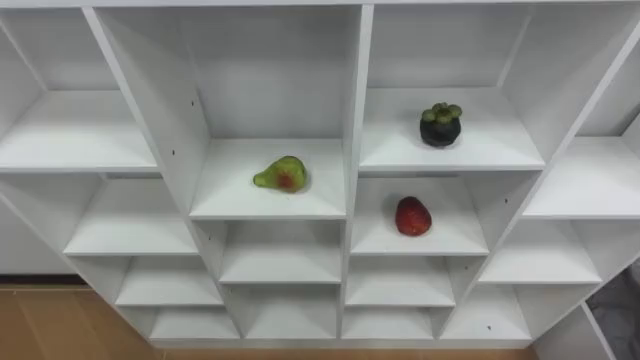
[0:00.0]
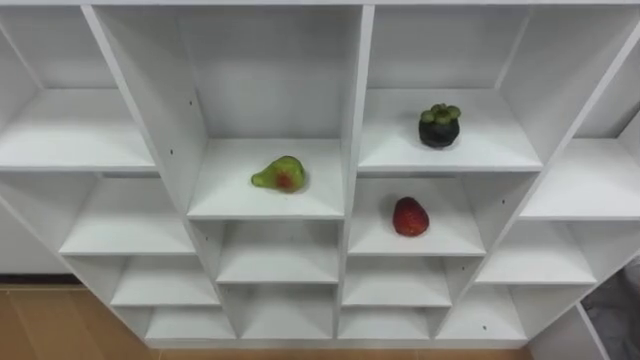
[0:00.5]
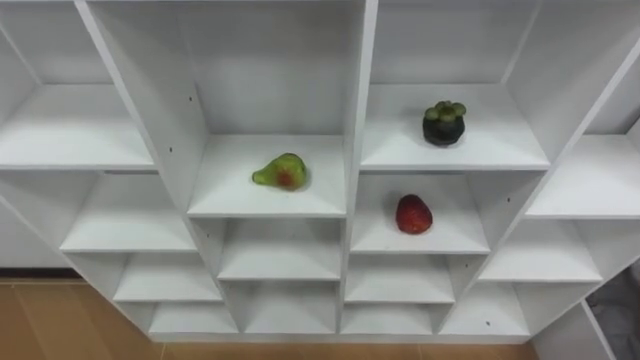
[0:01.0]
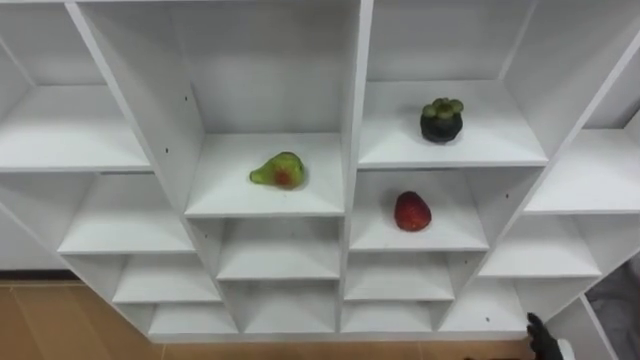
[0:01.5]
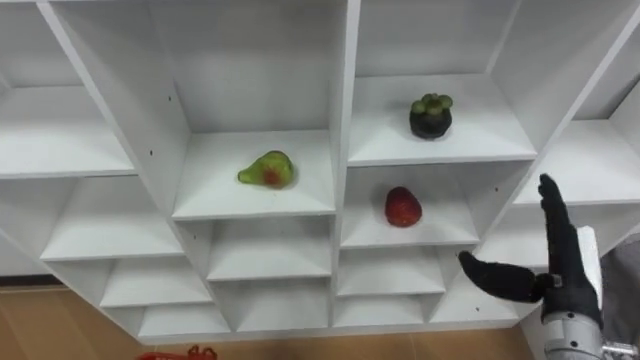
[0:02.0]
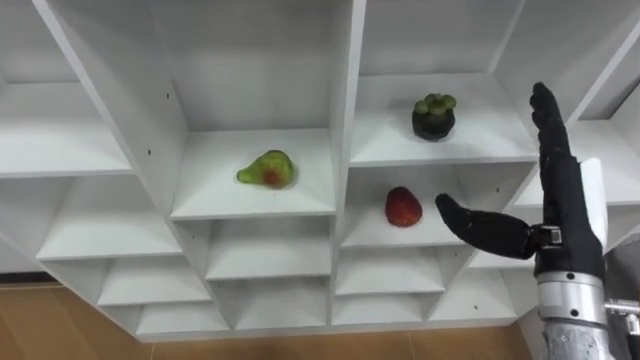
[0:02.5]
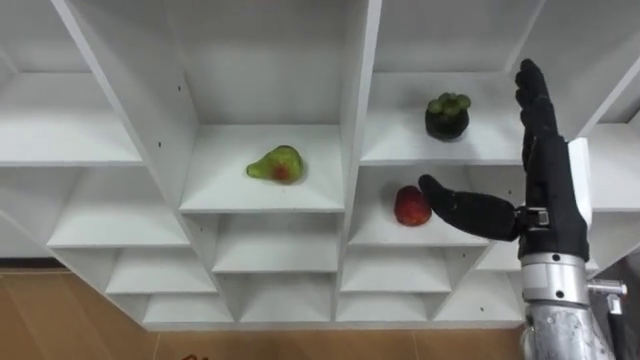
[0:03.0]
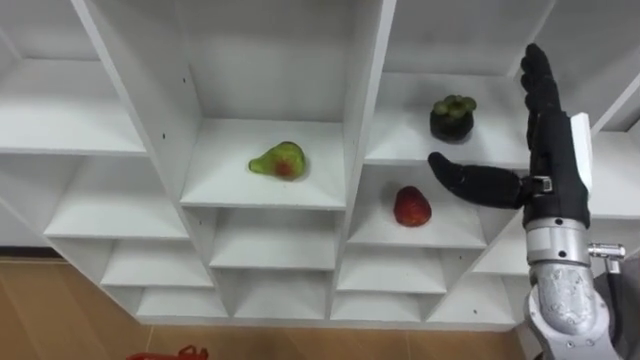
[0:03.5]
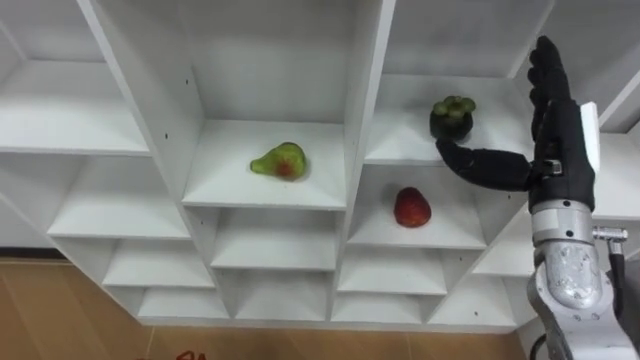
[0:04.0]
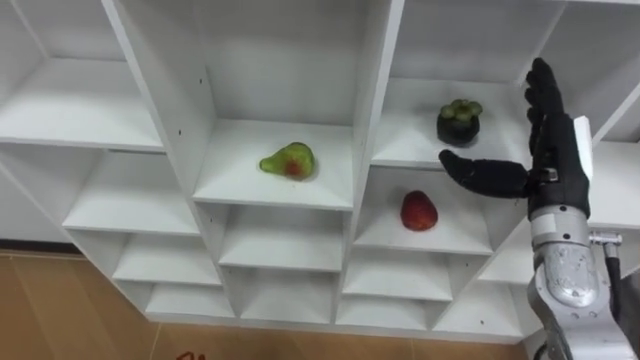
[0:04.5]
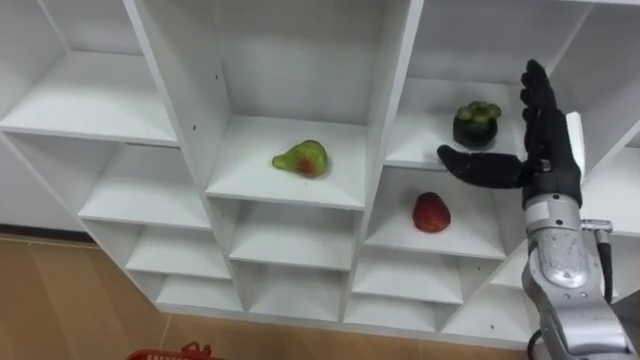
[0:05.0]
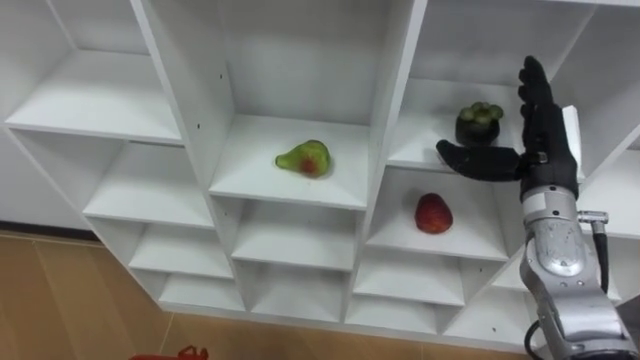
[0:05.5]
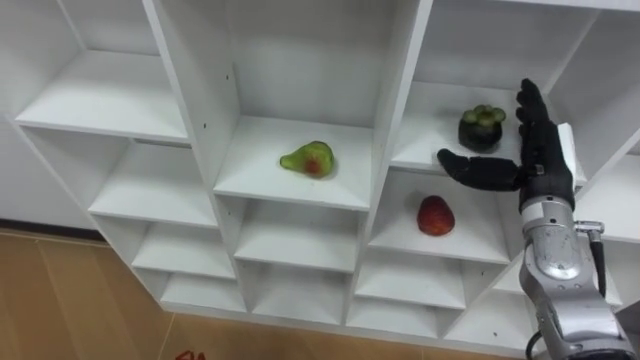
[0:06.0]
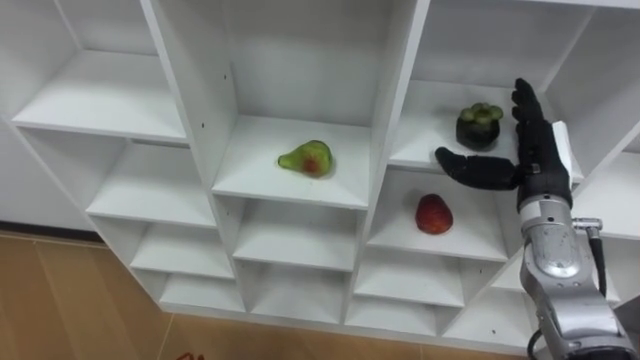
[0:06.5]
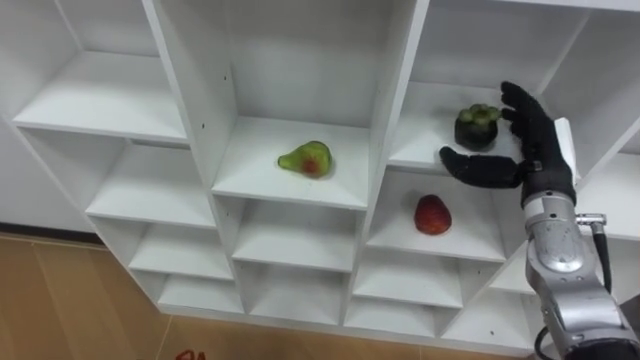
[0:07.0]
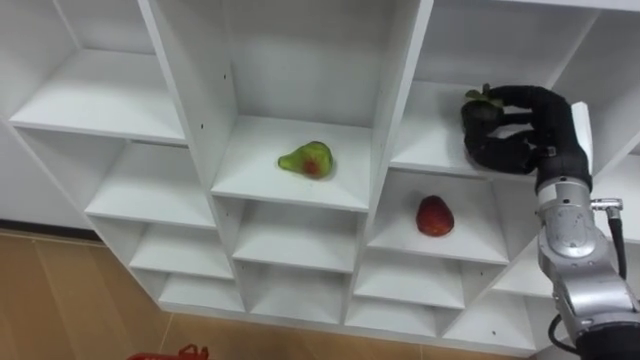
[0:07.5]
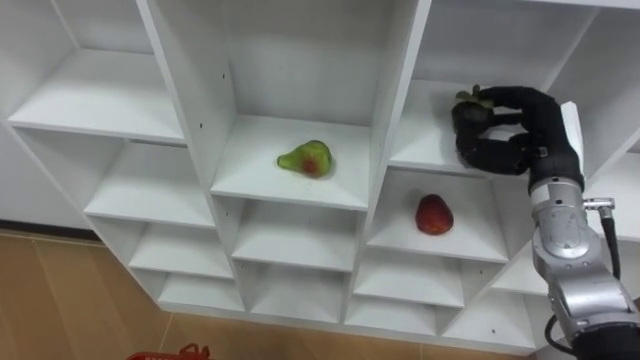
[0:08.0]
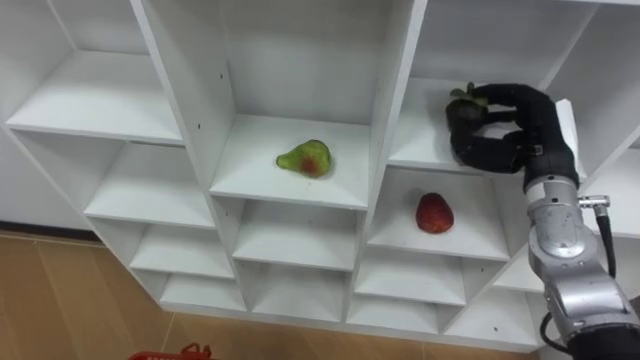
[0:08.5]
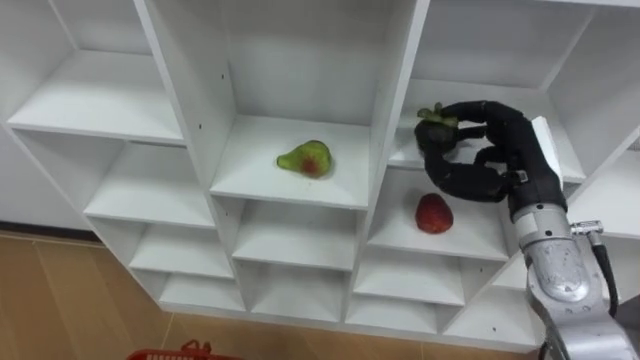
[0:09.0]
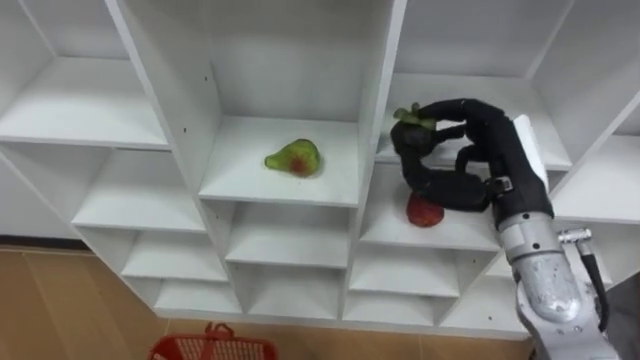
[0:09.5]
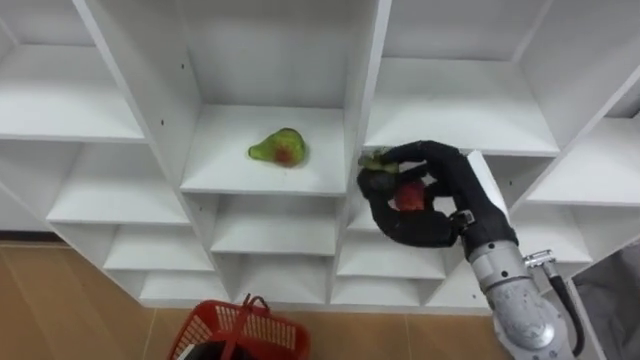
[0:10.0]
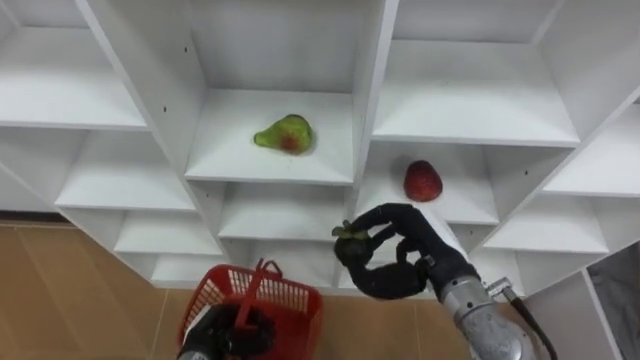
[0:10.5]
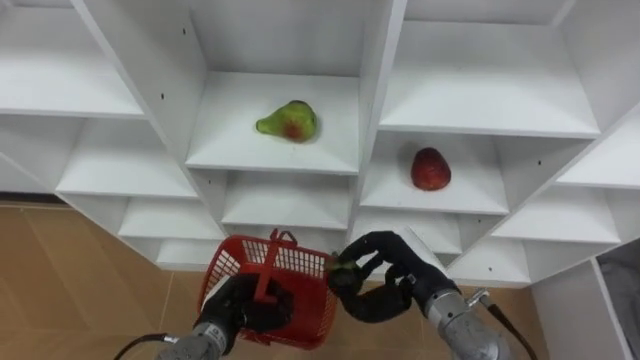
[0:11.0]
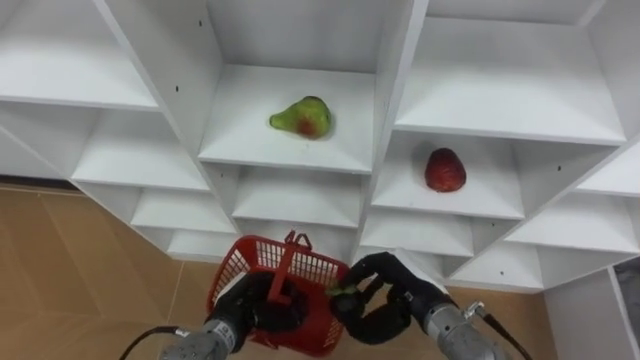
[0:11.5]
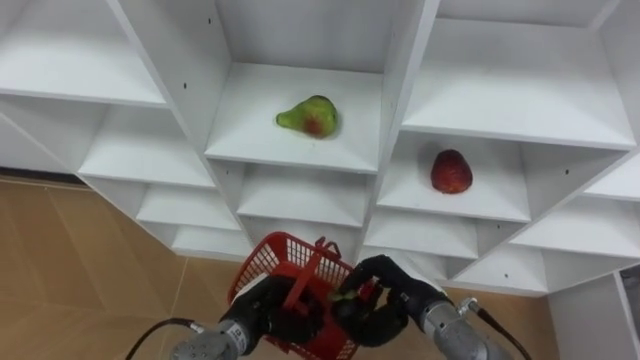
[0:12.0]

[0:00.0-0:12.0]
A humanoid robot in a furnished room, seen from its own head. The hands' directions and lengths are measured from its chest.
Task of the whole recording: Hold the basket and collect the fruits from 3 different cells of the closet into it.
0:02.0 to 0:04.0: The right hand shifts roughly 15 cm upward and forward.
0:04.0 to 0:06.0: The right hand is displaced downward by roughly 5 cm.
0:06.0 to 0:08.0: The right hand closes its fingers.
0:08.0 to 0:10.0: The right hand is displaced to the left and backward by approximately 10 cm.
0:10.0 to 0:12.0: The right hand moves downward, approximately 15 cm.

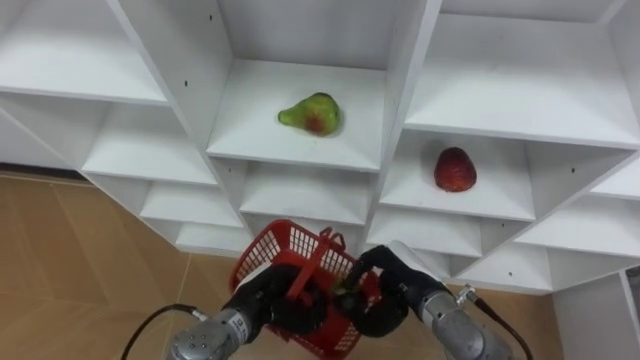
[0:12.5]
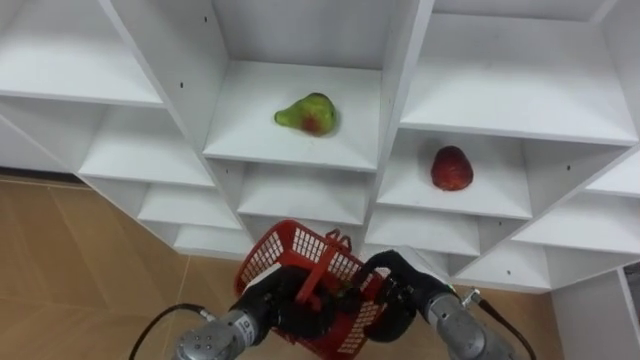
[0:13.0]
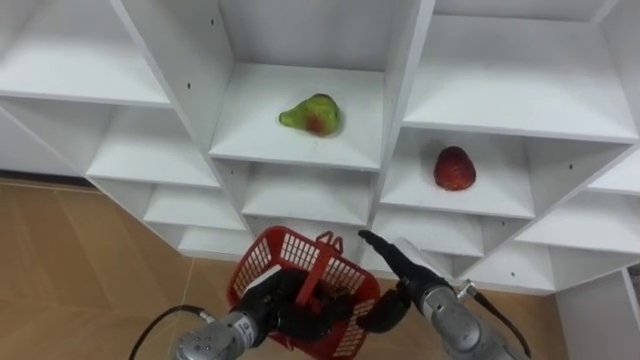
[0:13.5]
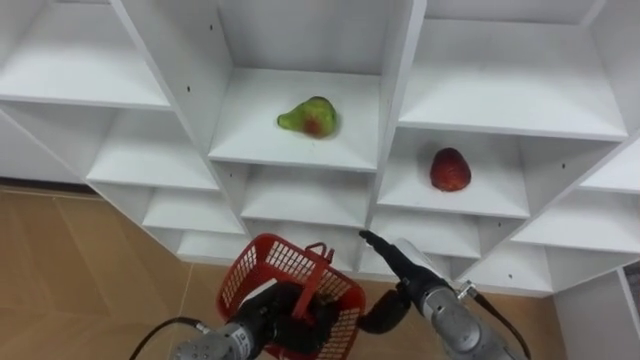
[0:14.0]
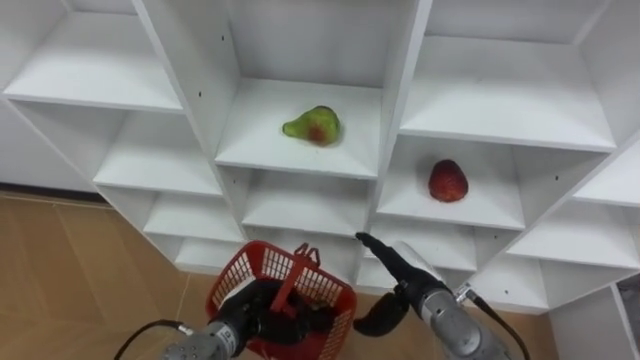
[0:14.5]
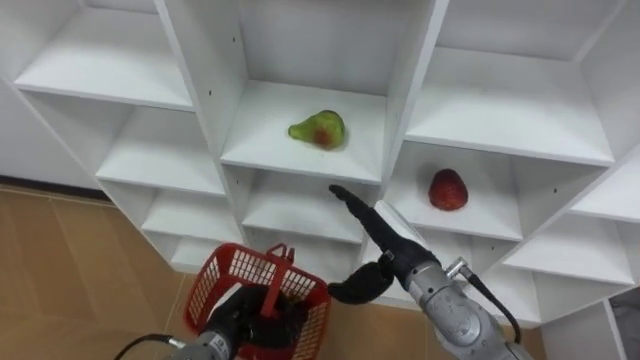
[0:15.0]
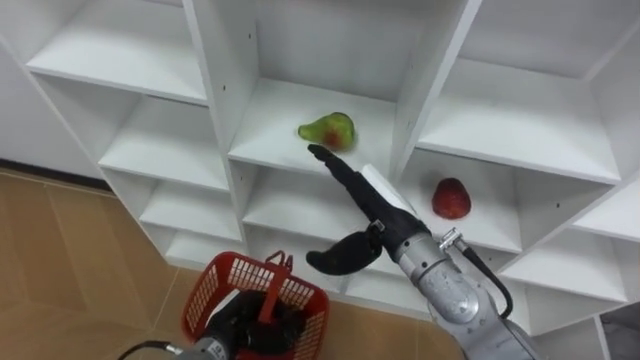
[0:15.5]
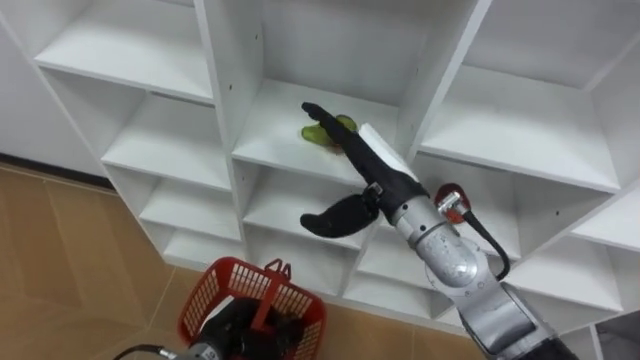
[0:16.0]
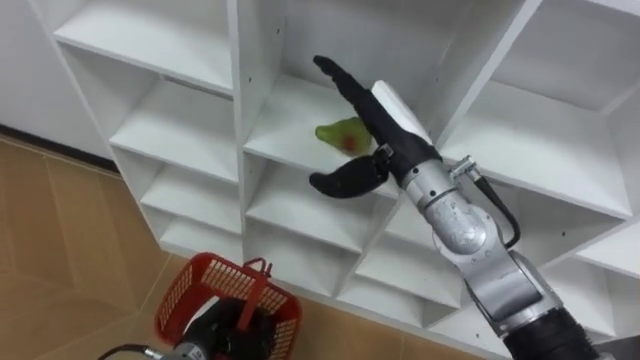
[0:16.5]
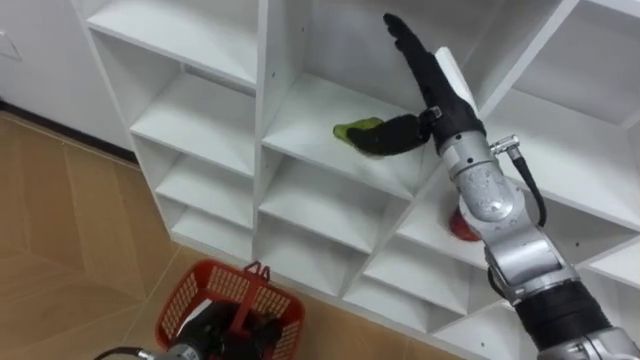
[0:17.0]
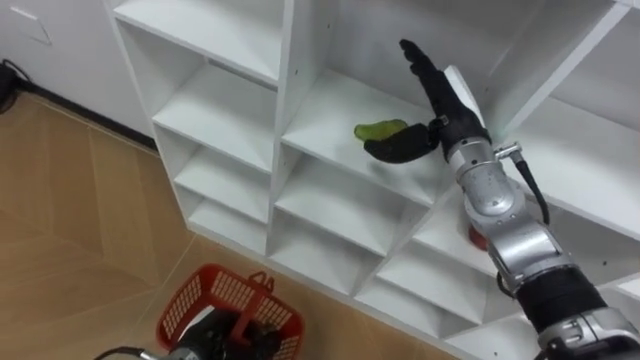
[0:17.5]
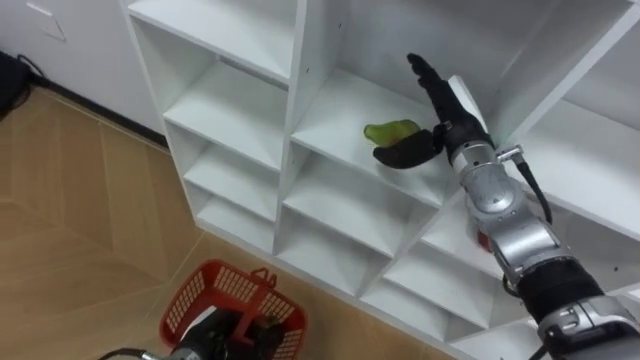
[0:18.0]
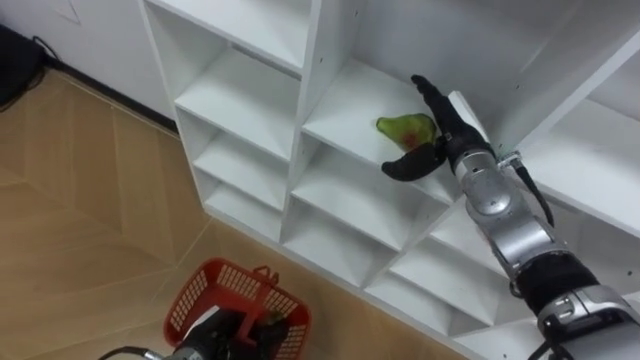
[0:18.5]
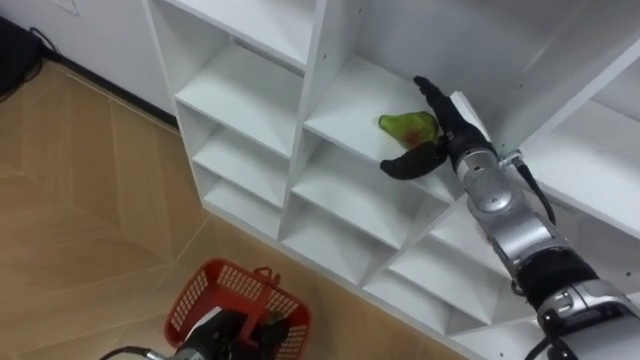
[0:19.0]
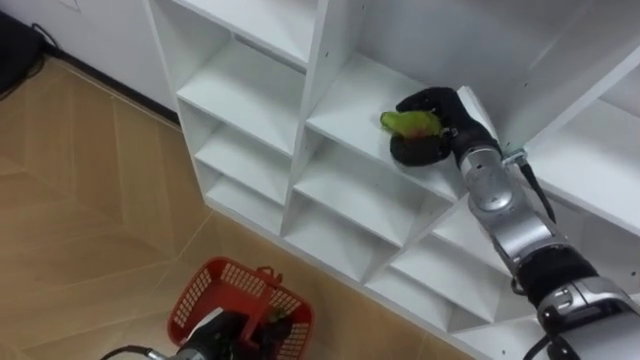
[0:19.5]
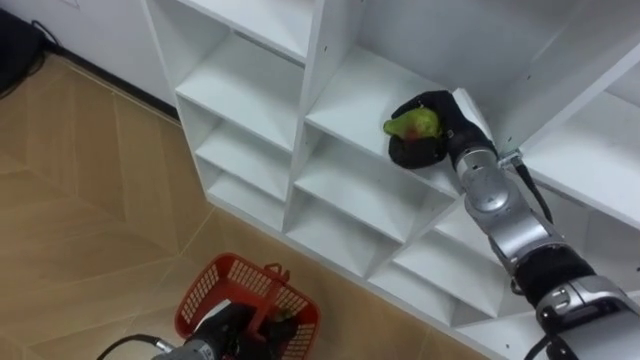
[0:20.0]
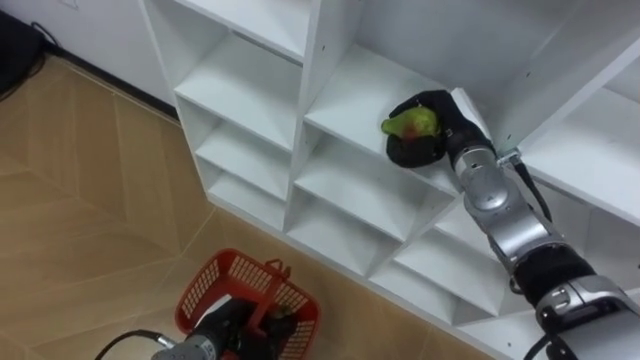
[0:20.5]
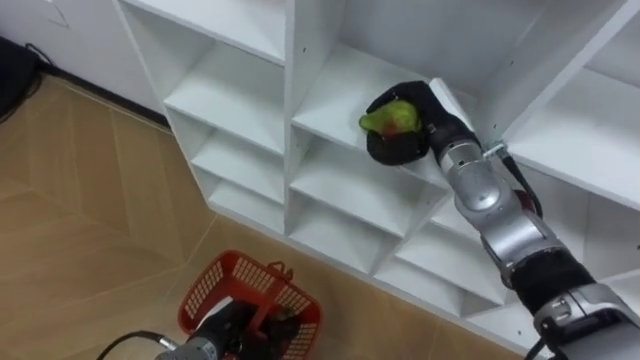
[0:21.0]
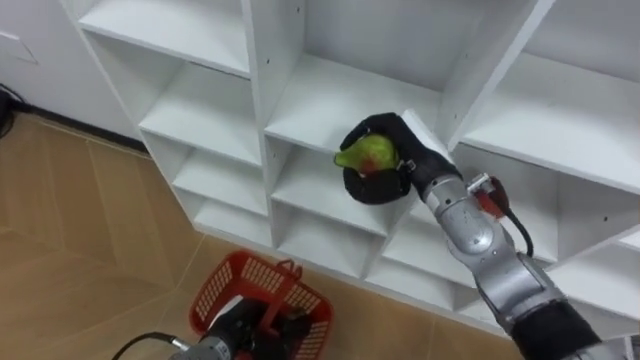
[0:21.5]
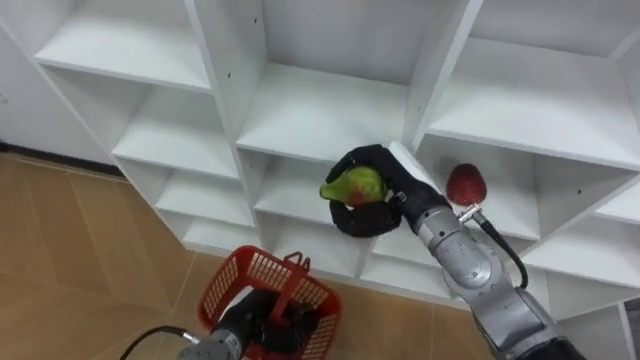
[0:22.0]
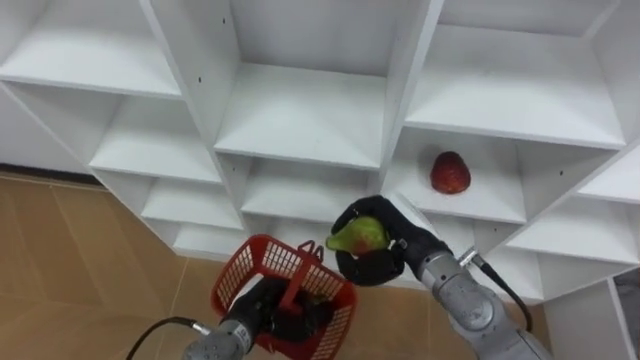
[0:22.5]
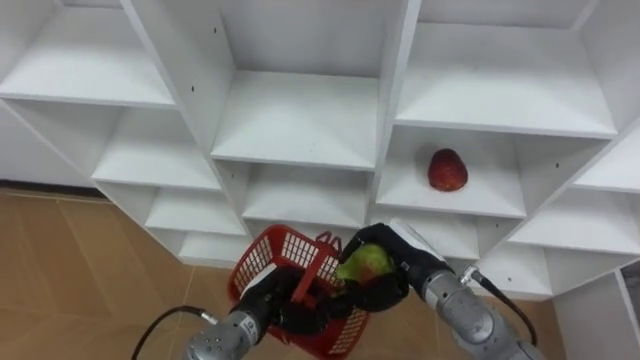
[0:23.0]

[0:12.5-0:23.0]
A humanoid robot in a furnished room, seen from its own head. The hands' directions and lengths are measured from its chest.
Task of the whole recording: Hold the basket and collect the fruits from 3 different cells of the closet into it.
0:12.5 to 0:14.5: The right hand opens its fingers.
0:14.5 to 0:16.5: The right hand is displaced upward and forward by approximately 25 cm. Meanwhile the left hand travels to the left by about 5 cm.
0:16.5 to 0:19.0: The right hand is displaced to the right, downward and forward by some 15 cm.
0:19.0 to 0:21.0: The right hand closes.
0:21.0 to 0:23.0: The right hand goes roughly 20 cm backward and downward, while the left hand heads to the right, covering about 5 cm.
